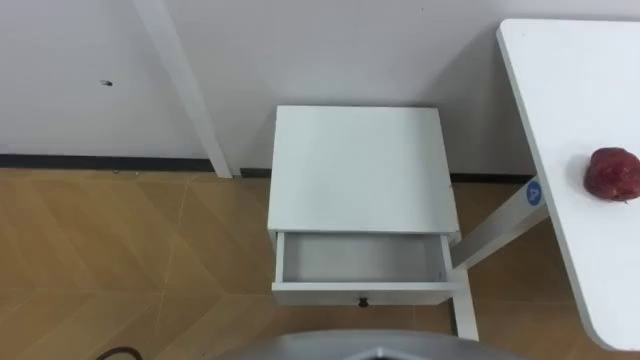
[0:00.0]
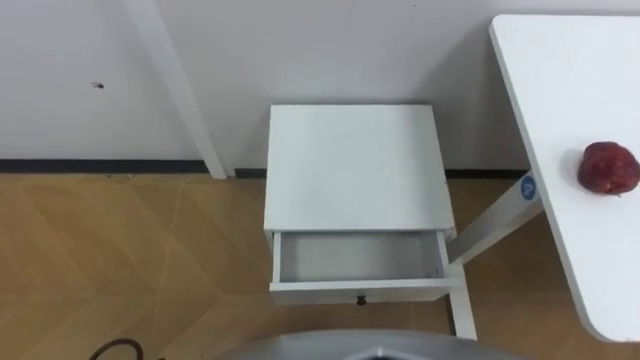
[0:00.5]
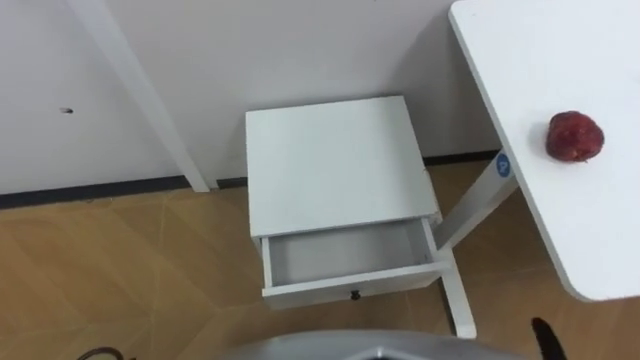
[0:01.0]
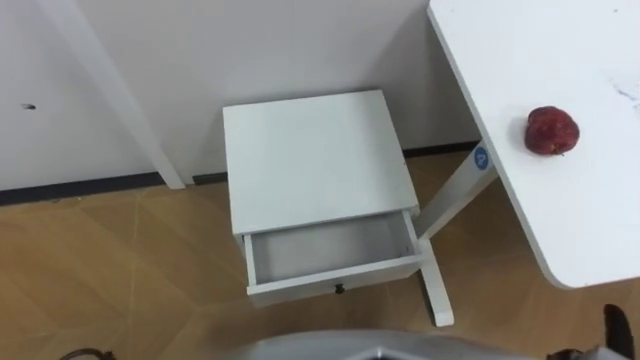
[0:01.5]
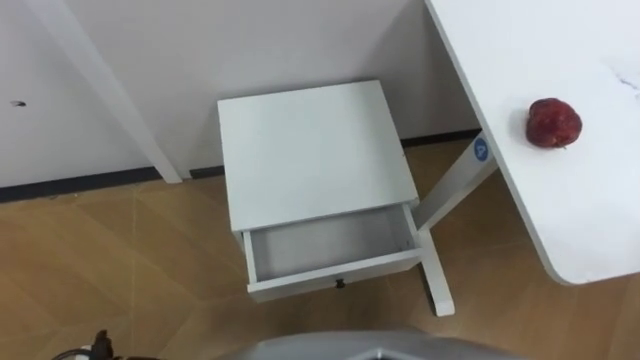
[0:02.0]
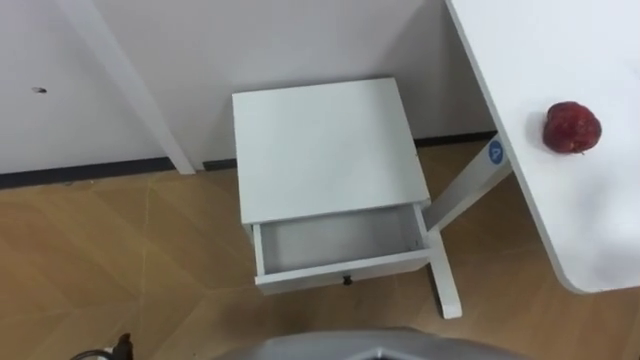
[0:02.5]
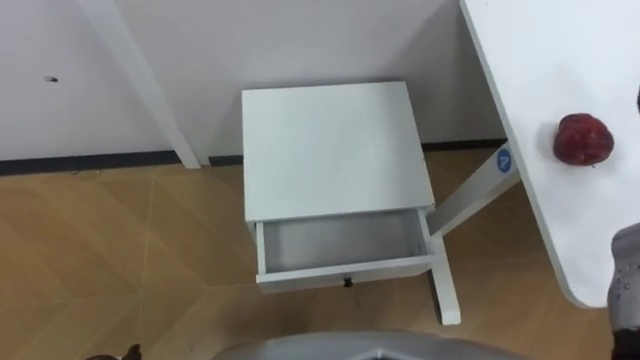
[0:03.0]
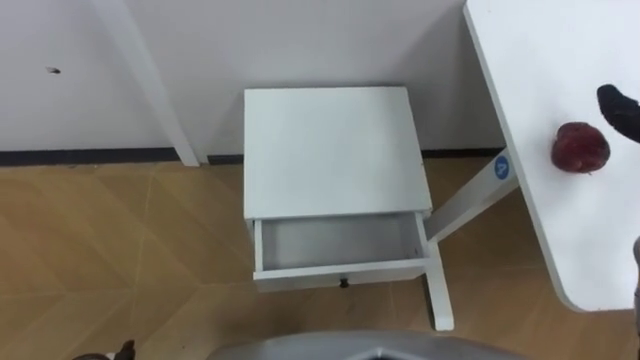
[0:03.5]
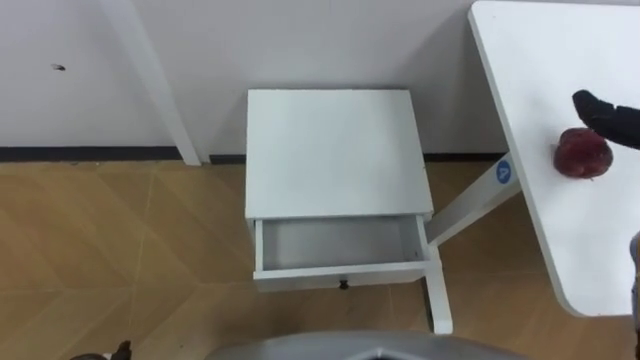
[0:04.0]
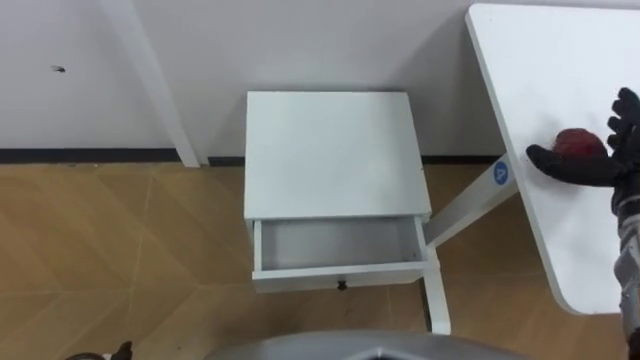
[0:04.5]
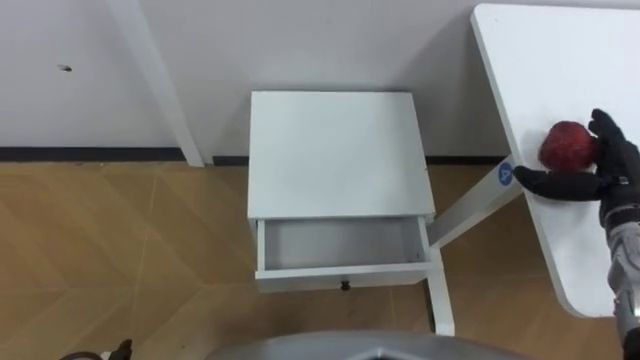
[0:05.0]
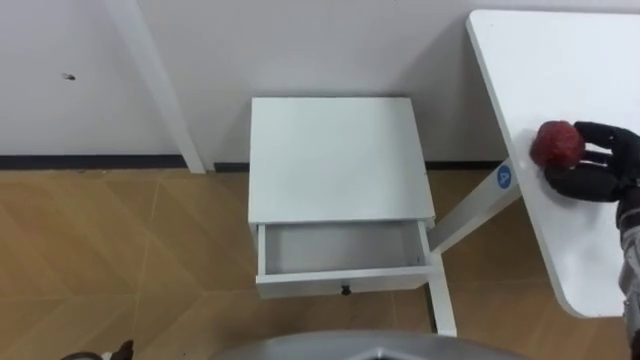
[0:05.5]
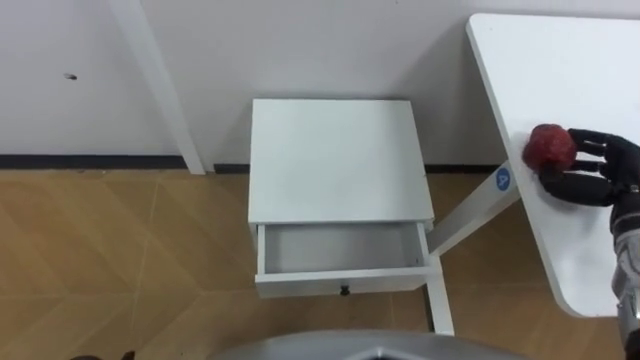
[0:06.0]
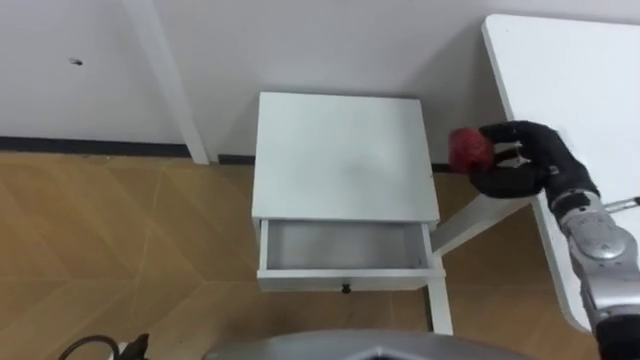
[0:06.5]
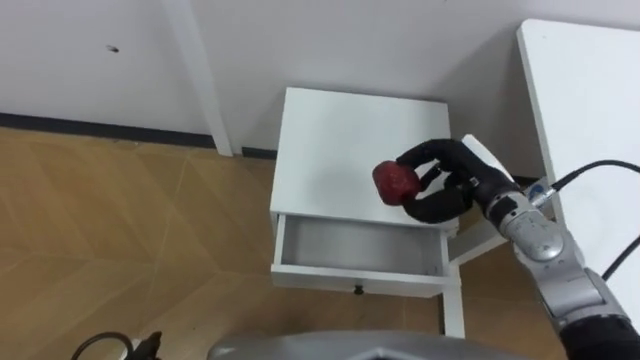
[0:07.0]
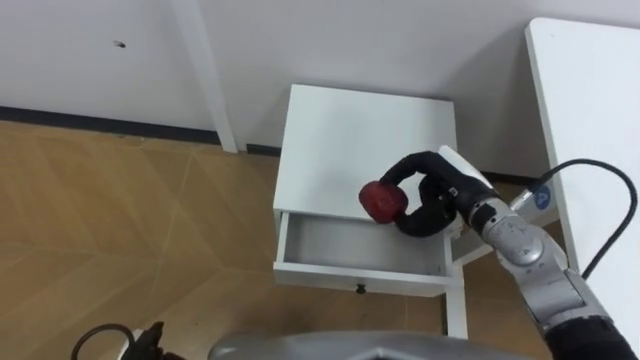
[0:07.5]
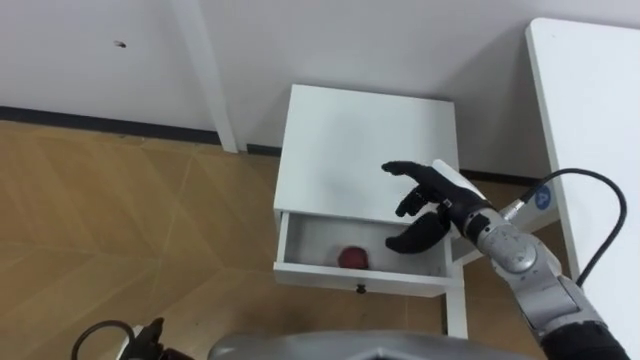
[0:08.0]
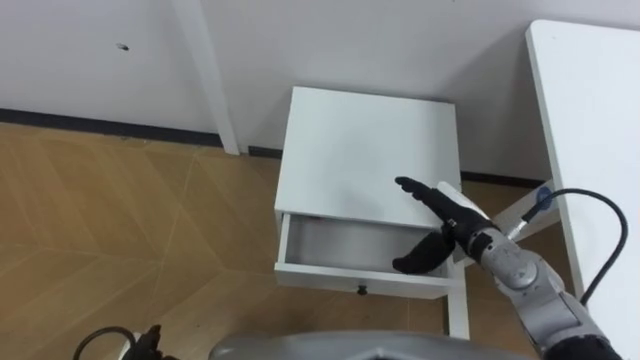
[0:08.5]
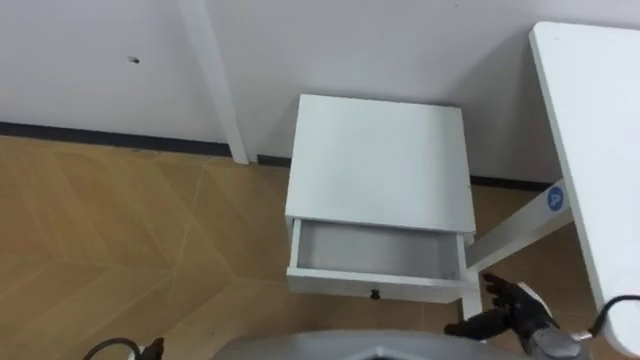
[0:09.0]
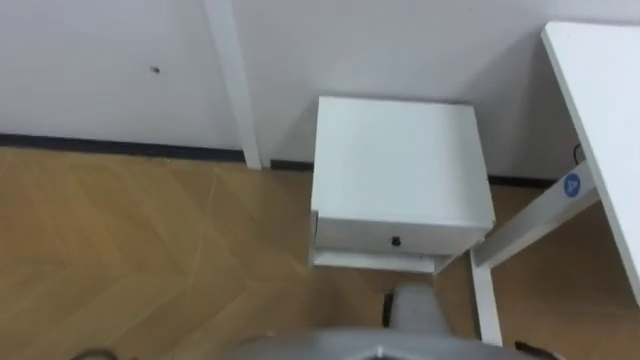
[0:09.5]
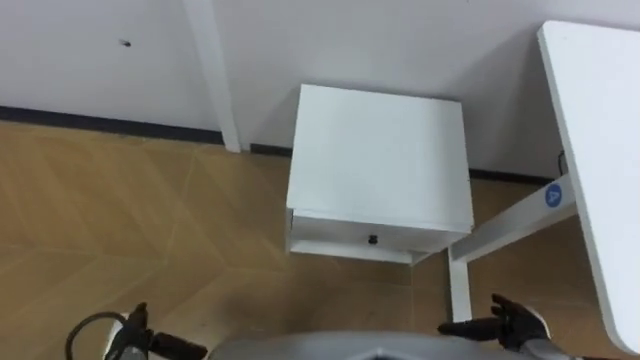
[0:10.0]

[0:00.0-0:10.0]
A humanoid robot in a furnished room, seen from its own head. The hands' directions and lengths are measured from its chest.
Task of the whole recording: Pick up the apple from the table, put it in the drawer, and close the drawer with leg.
0:06.0 to 0:08.0: The right hand travels to the left by roughly 20 cm.

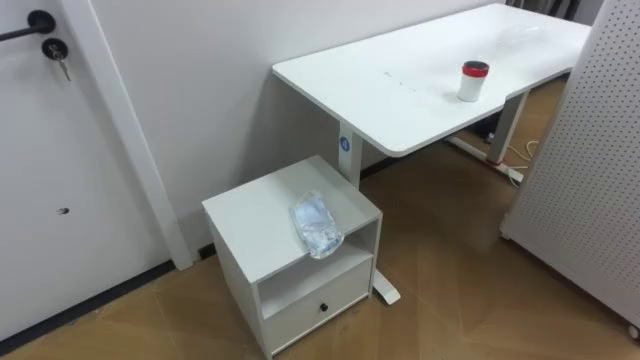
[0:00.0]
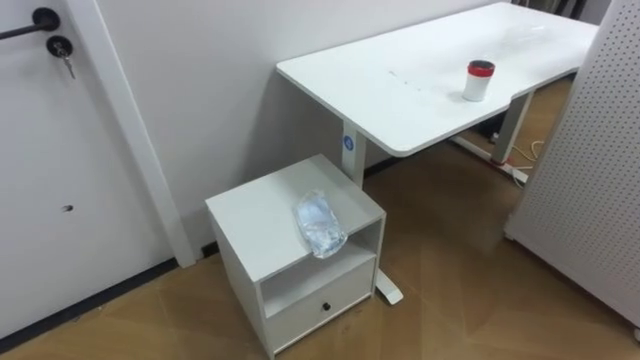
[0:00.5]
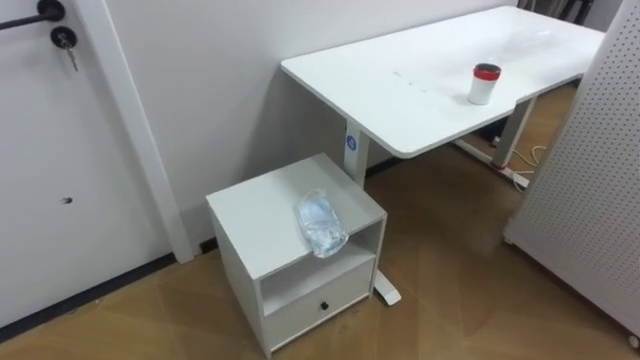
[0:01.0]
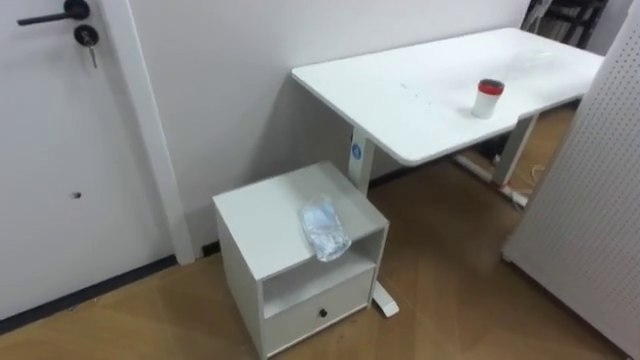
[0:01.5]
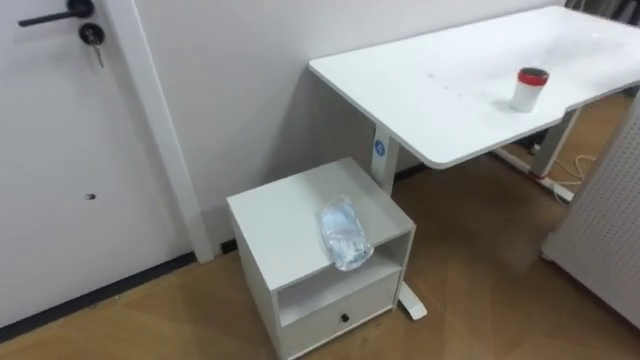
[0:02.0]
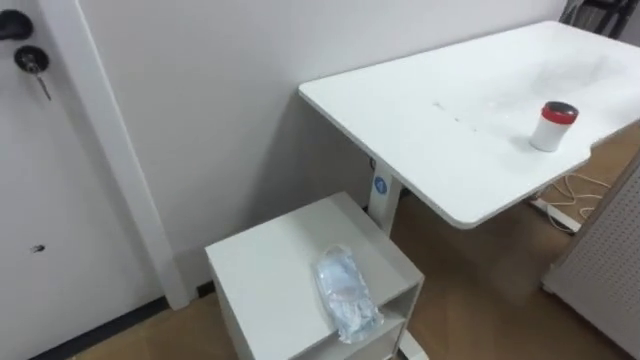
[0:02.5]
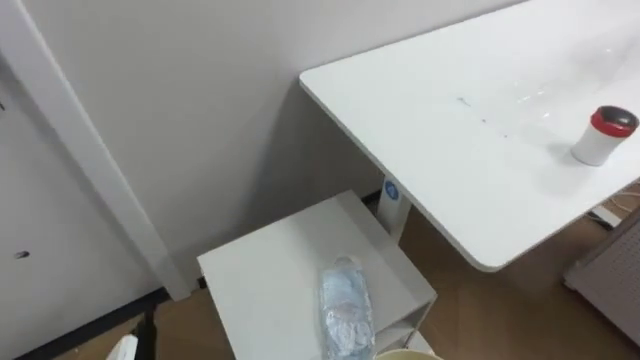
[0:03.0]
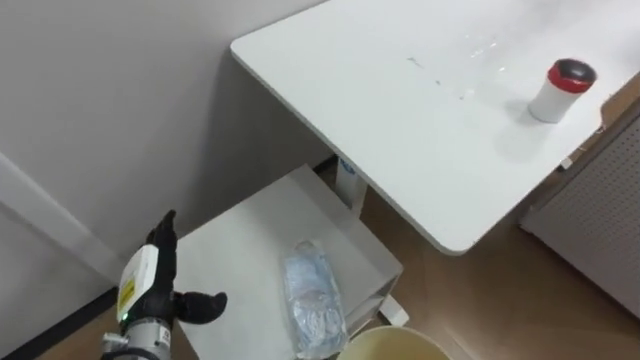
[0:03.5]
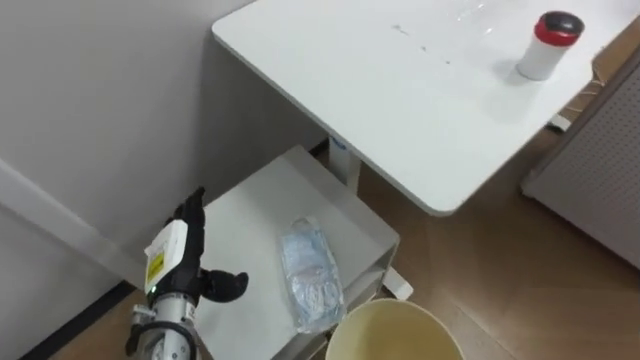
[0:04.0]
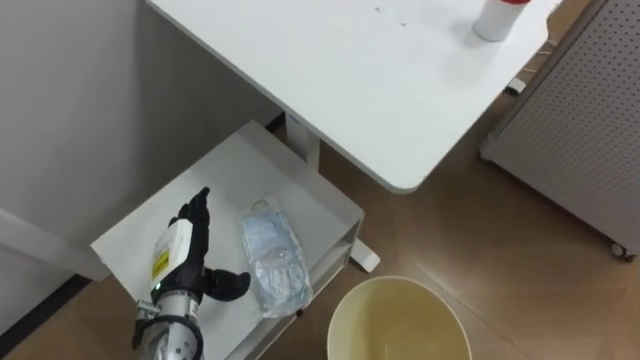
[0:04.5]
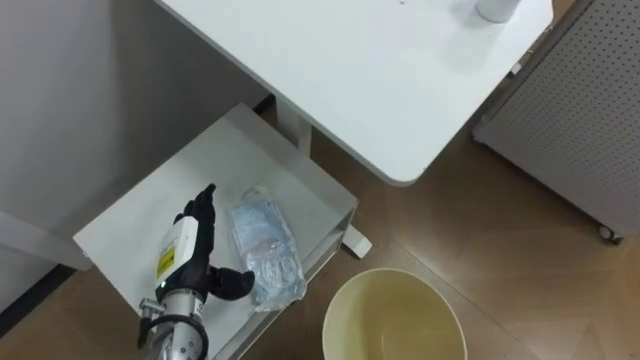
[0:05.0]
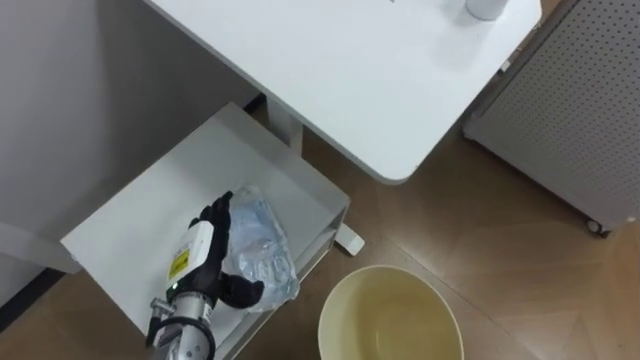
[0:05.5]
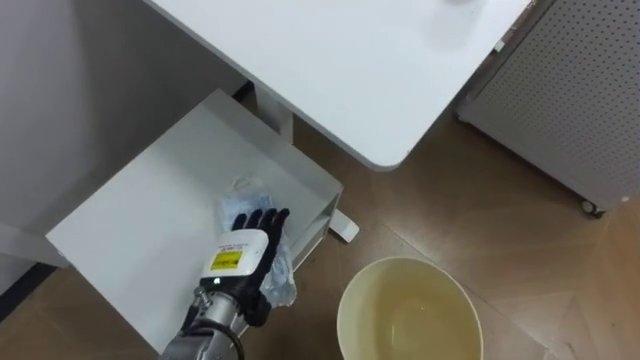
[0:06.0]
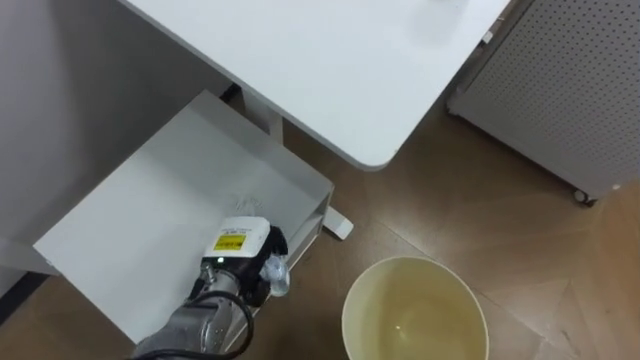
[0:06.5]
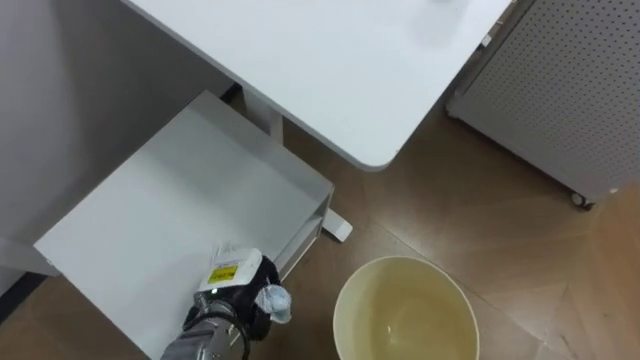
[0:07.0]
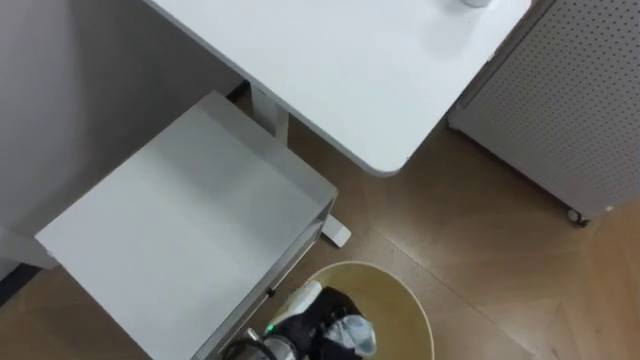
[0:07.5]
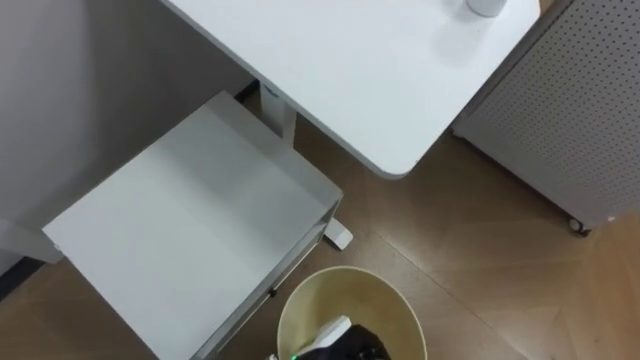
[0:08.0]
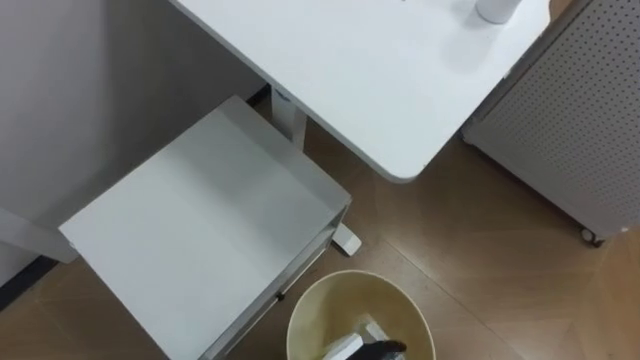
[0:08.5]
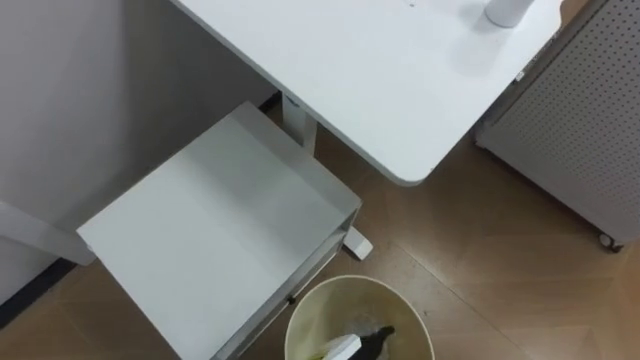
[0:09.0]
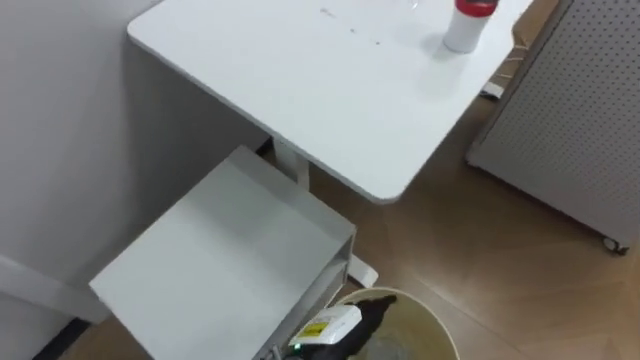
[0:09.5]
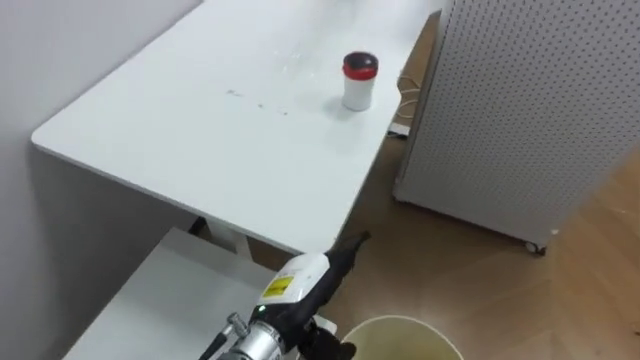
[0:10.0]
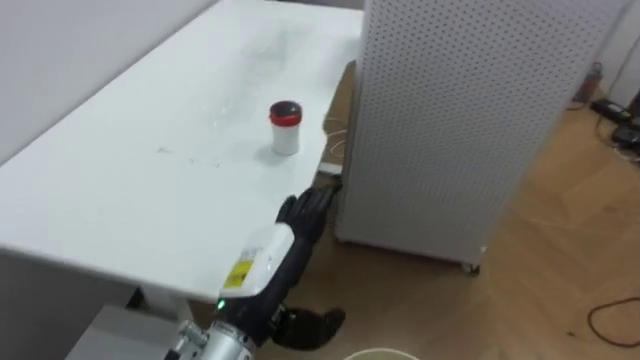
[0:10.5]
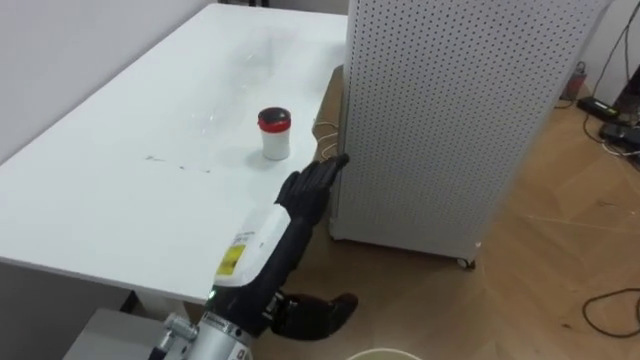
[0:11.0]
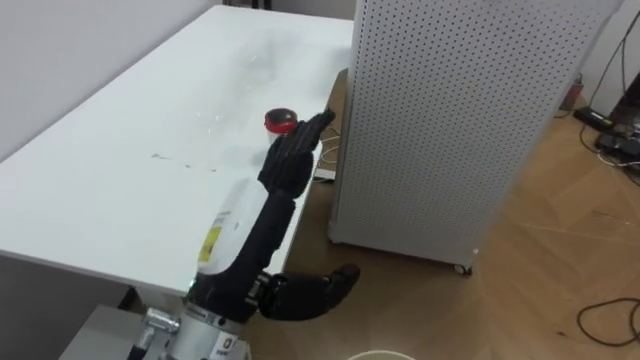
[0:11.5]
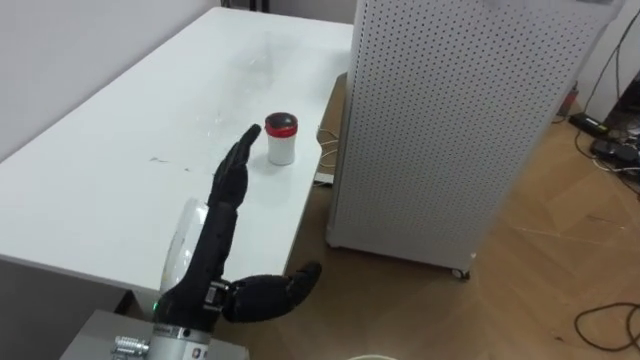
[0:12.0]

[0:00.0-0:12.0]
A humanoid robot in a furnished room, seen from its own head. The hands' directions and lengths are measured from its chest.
Task of the whole recording: Pick up the light blue package, the candy box, and the dark blue package separately, and put them into the trash can held in your right hand.
0:04.0 to 0:06.0: The left hand shifts some 10 cm to the right.
0:06.0 to 0:08.0: The left hand moves to the right, backward and downward, approximately 15 cm, and closes its fingers.
0:08.0 to 0:10.0: The robot's body swings about 20 degrees to its right.
0:10.0 to 0:12.0: The robot faces about 20 degrees further to its right. The left hand heads upward and to the left, covering approximately 15 cm.
